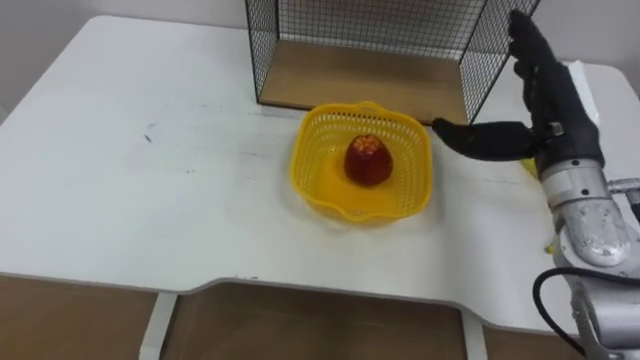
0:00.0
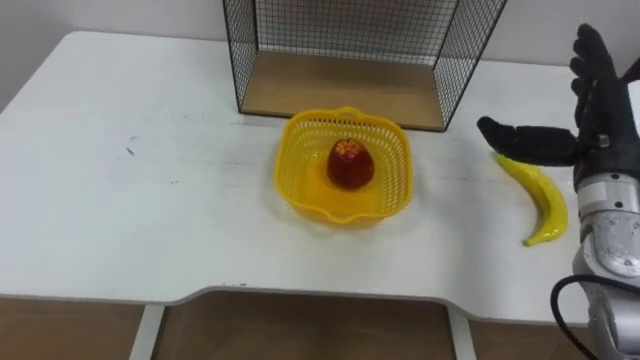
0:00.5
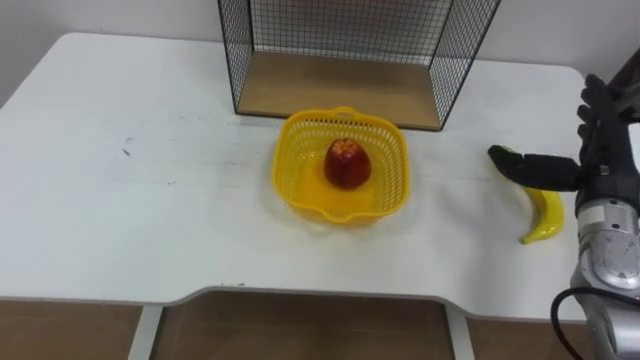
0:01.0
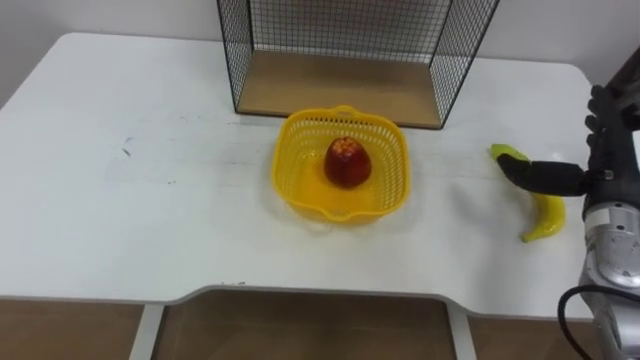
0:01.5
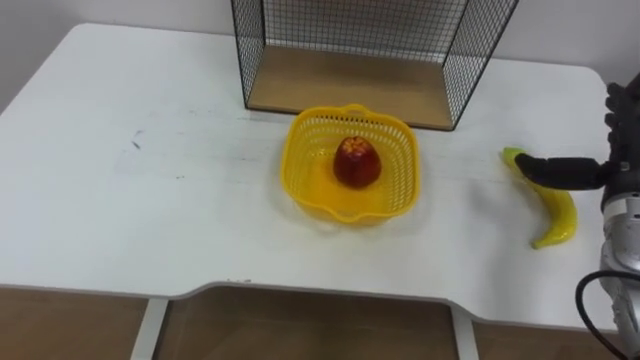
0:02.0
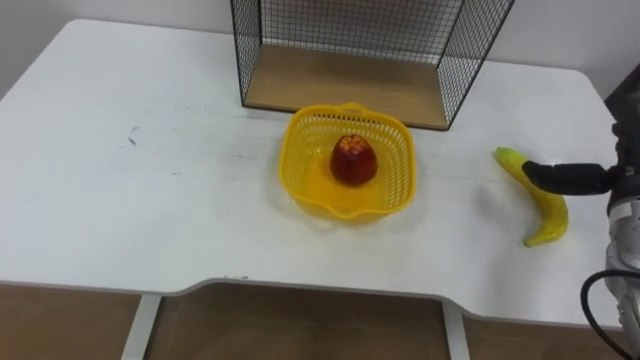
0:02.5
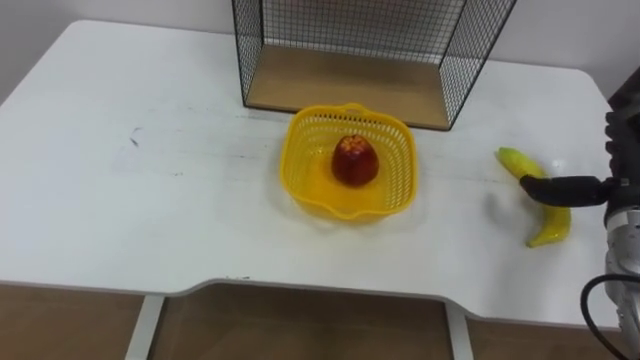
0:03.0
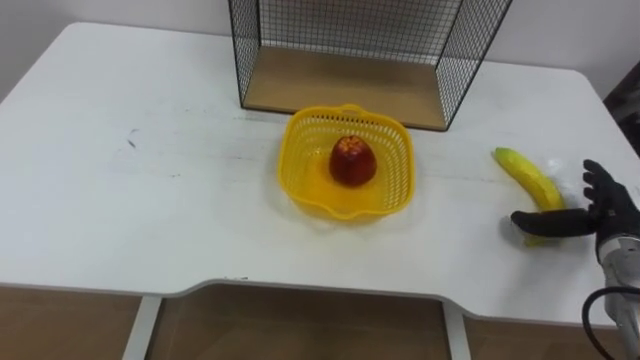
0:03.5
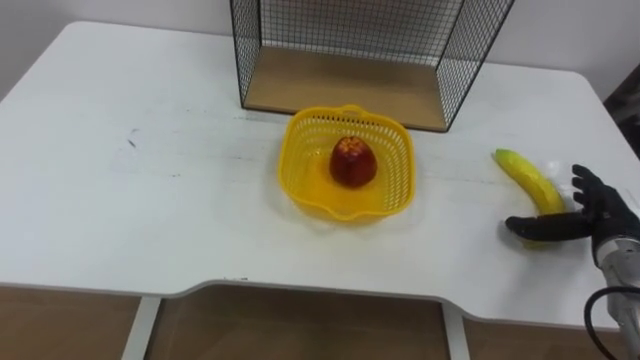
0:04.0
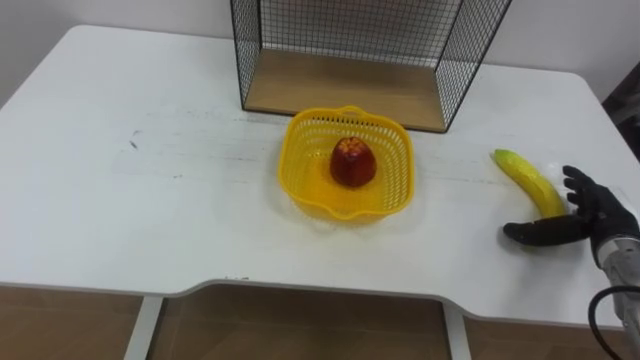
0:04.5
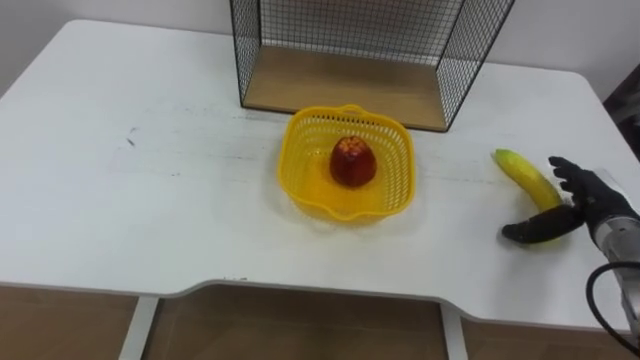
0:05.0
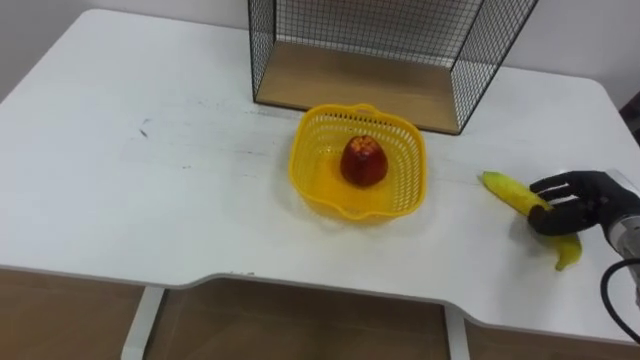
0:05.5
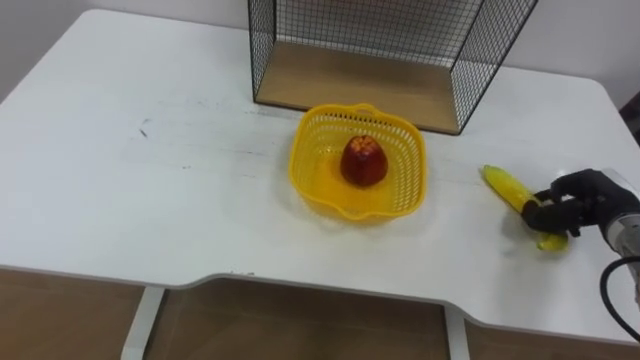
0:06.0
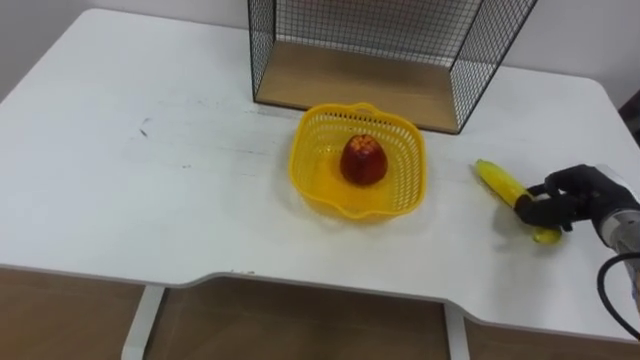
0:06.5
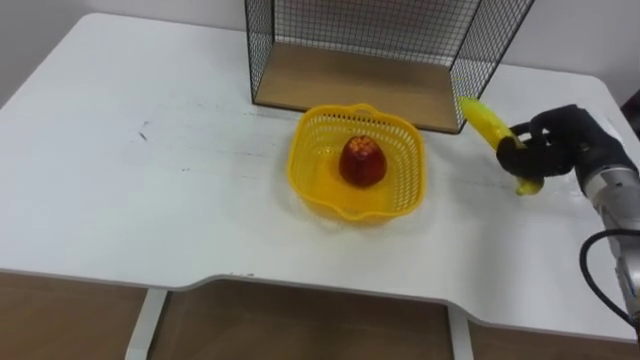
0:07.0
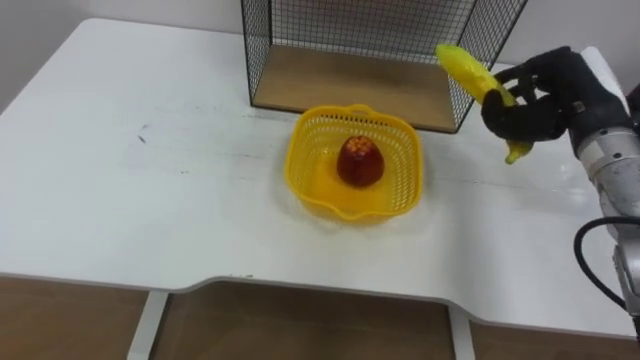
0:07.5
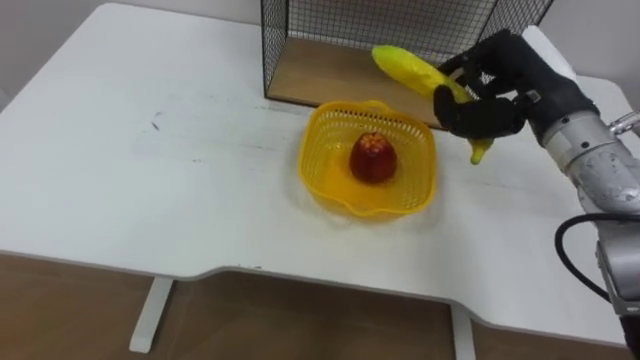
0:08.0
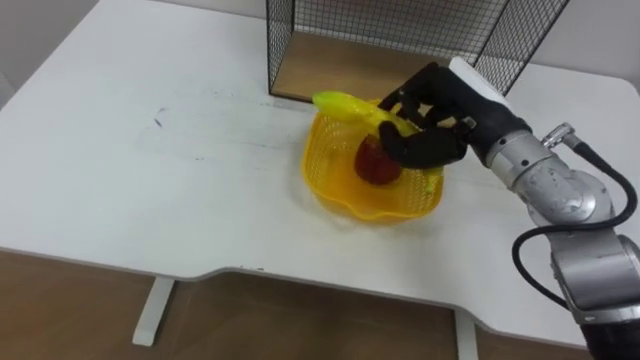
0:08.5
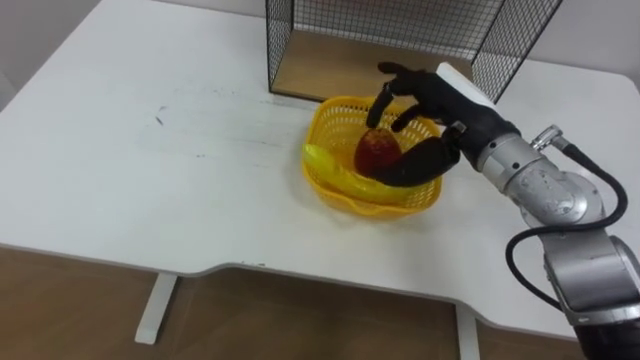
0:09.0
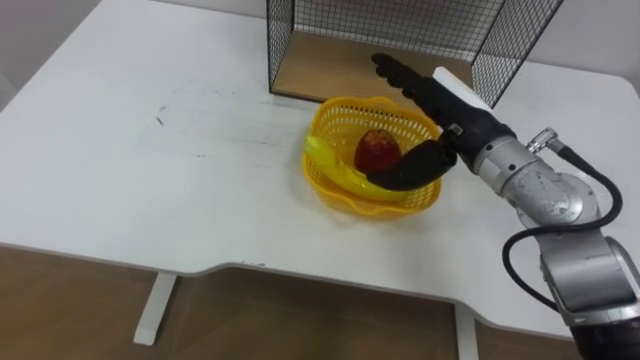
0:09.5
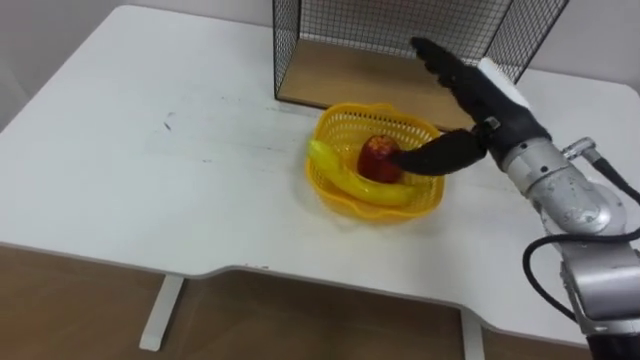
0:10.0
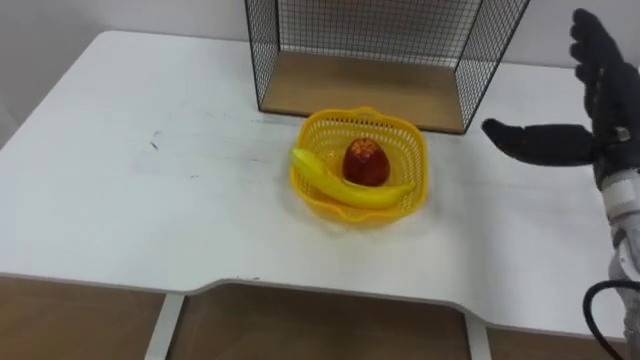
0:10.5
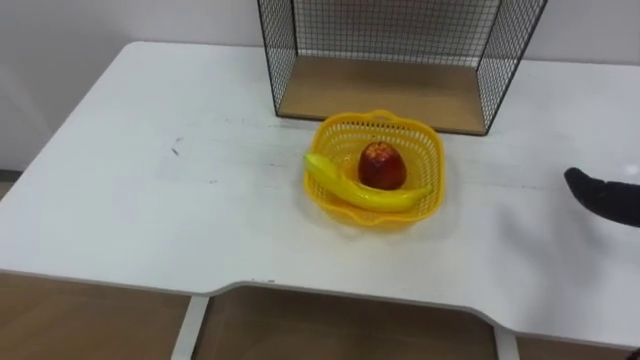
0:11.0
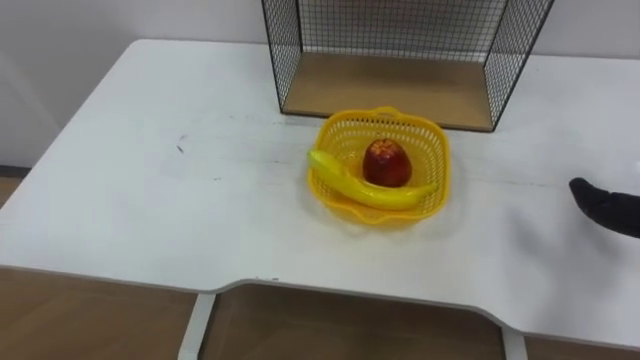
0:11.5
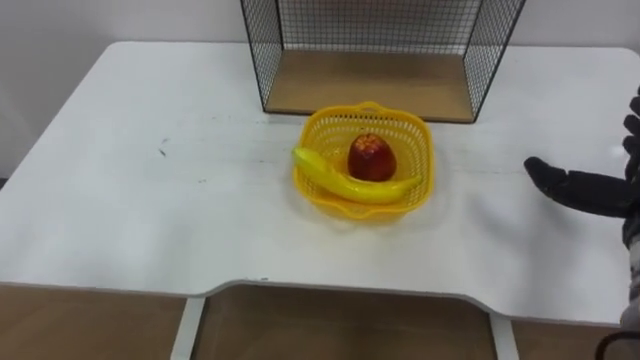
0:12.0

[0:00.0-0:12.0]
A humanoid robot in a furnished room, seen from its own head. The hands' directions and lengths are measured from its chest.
Task of the whole recording: Put the fruit on the table into the basket, then place the basket on the shelf.
0:00.0 to 0:02.0: The right hand goes some 15 cm to the right and downward.
0:02.0 to 0:04.0: The right hand heads downward, covering some 10 cm.
0:04.0 to 0:06.0: The right hand closes its fingers.
0:06.0 to 0:08.0: The right hand is displaced upward and to the left by about 20 cm.
0:08.0 to 0:10.0: The right hand opens up.

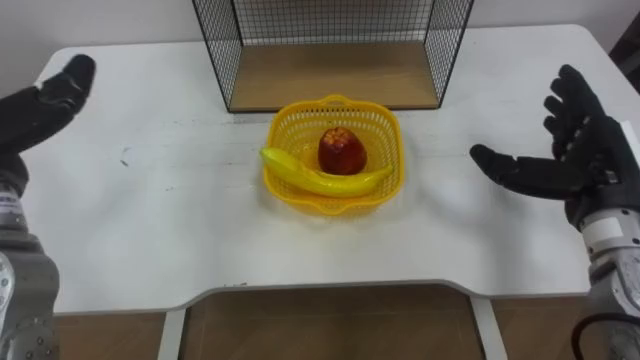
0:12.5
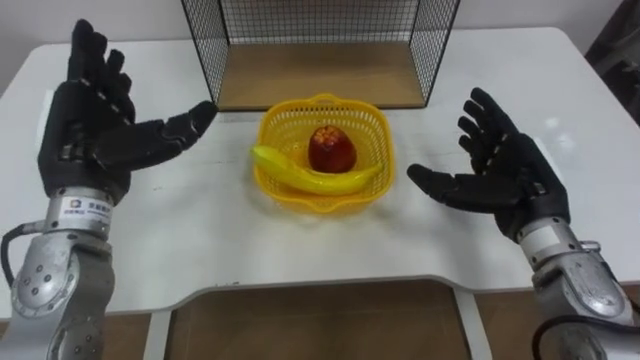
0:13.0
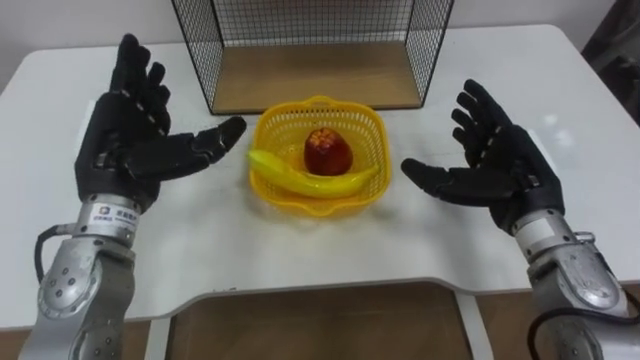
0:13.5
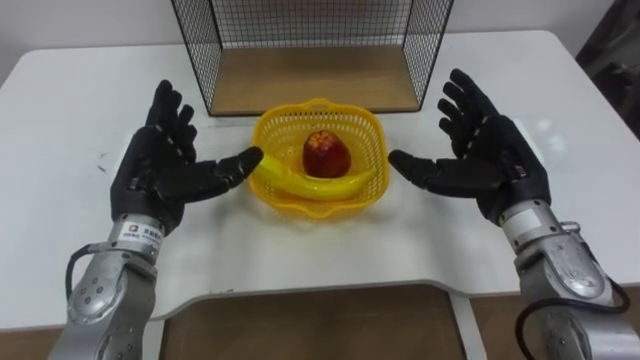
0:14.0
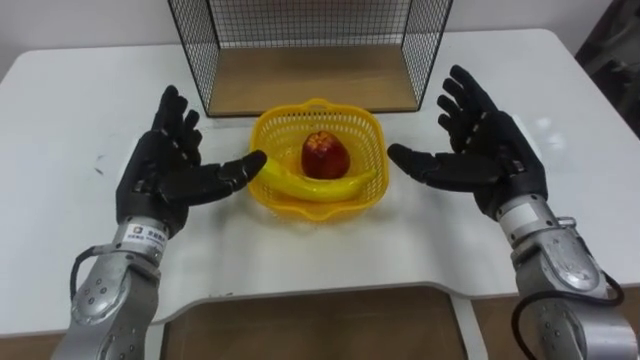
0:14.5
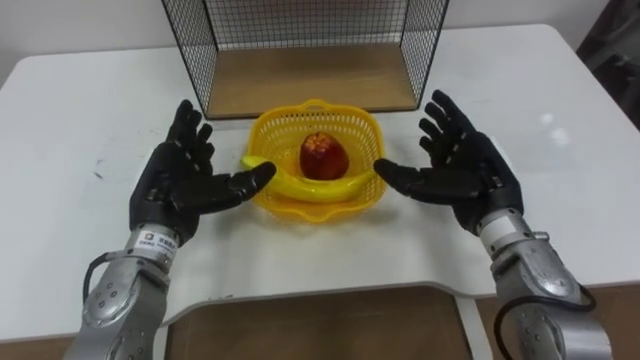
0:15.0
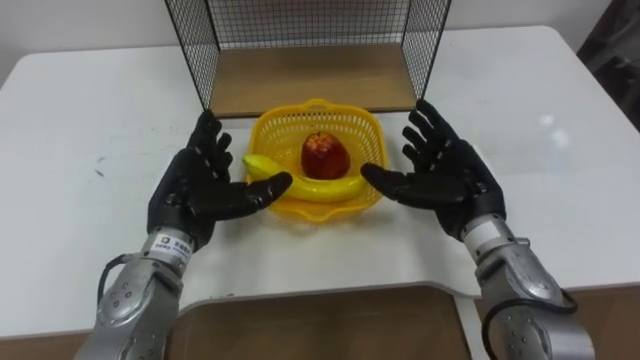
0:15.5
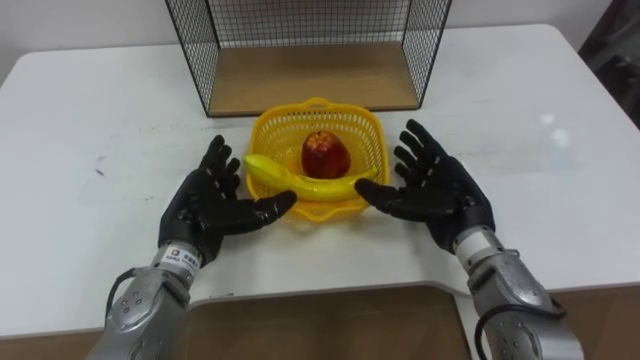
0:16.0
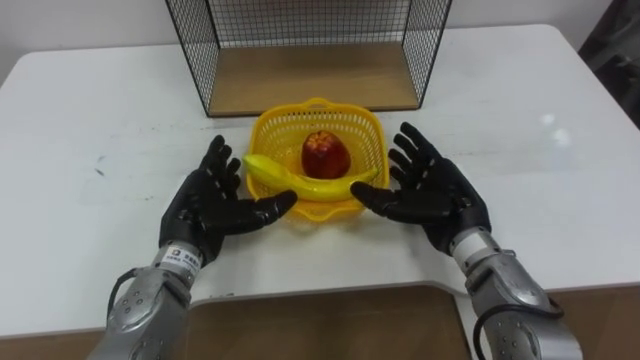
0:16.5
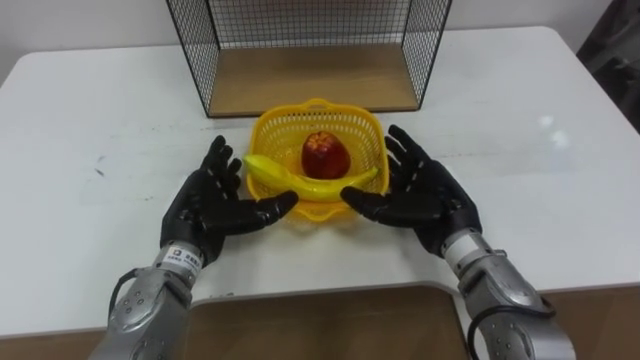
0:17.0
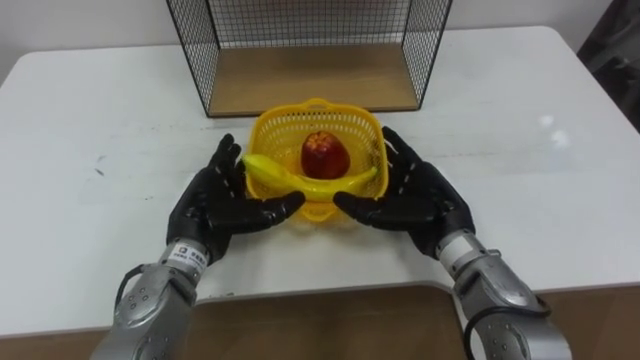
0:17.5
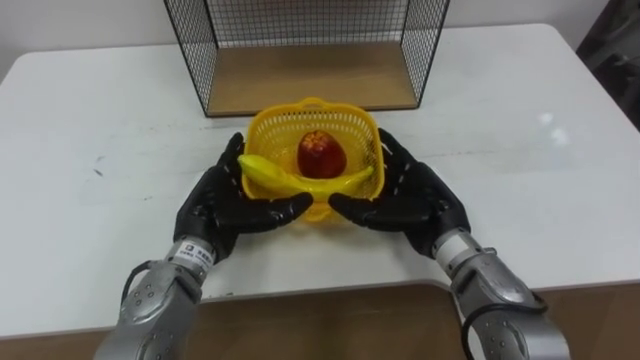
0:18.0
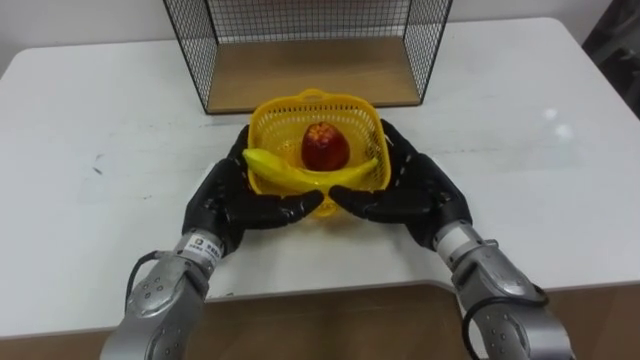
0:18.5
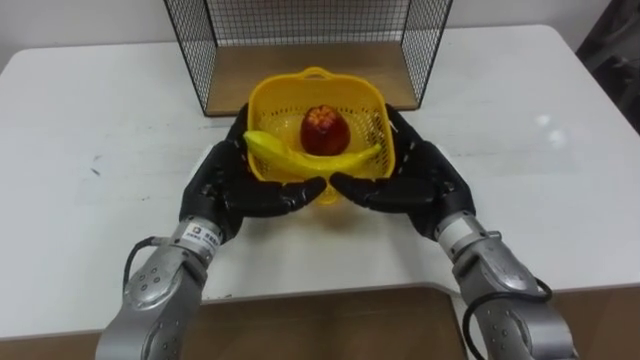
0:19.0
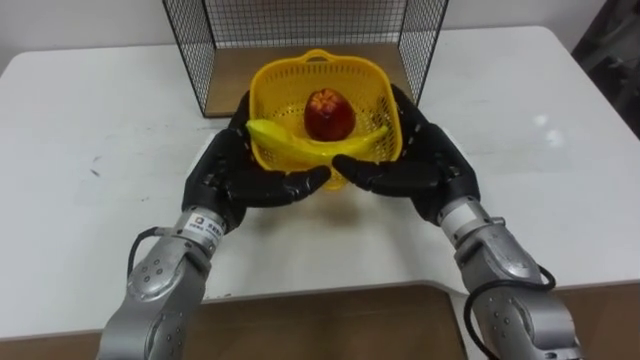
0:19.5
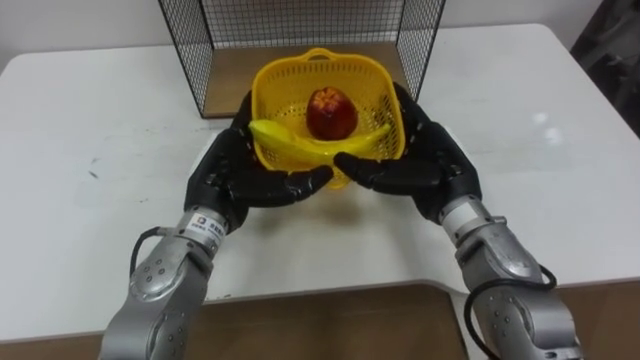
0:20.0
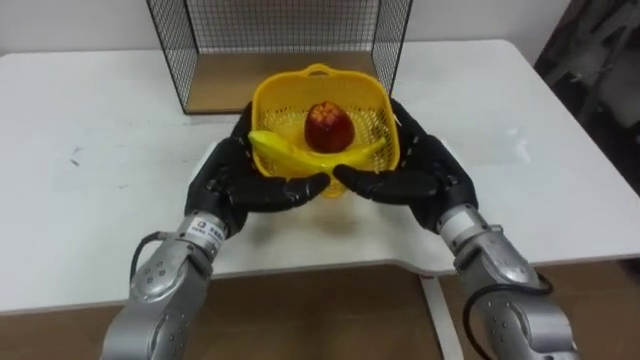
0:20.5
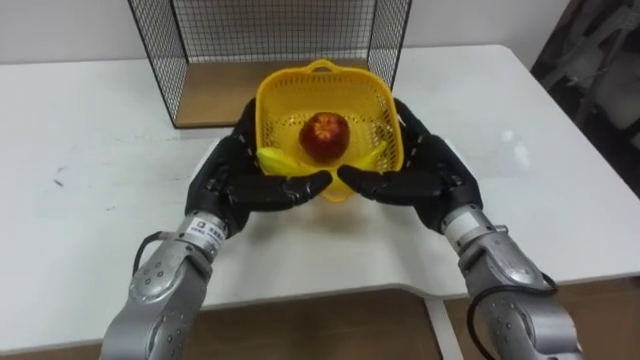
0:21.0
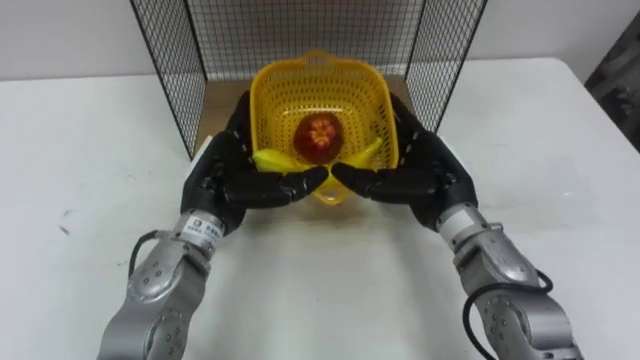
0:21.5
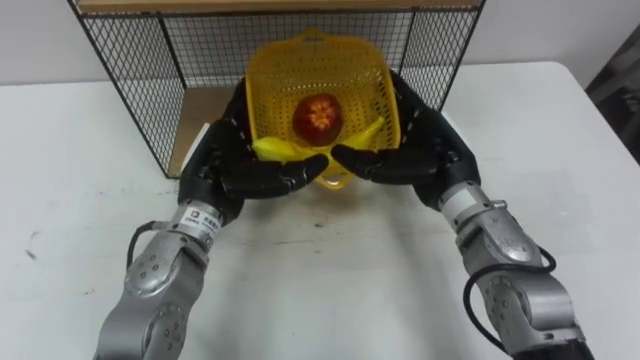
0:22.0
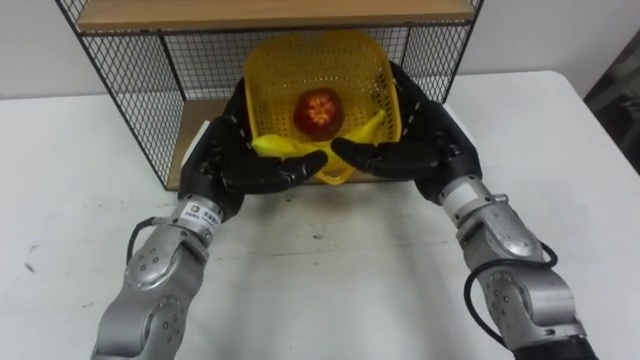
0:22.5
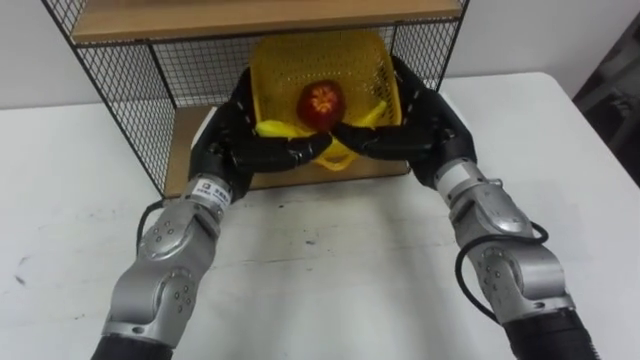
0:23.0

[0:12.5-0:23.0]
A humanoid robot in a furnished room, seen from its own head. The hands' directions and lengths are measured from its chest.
Task of the whole recording: Put the fruit on the table into the basket, then place the basket on the shelf.
0:12.5 to 0:14.5: The right hand moves to the left, approximately 10 cm.
0:14.5 to 0:16.5: The hands both shift downward by about 5 cm.
0:16.5 to 0:19.0: The left hand changes place by some 5 cm.
0:21.0 to 0:23.0: The right hand changes place by roughly 5 cm.
